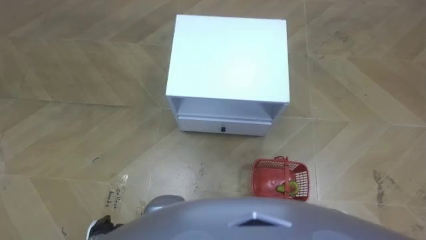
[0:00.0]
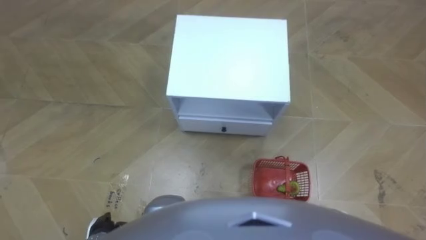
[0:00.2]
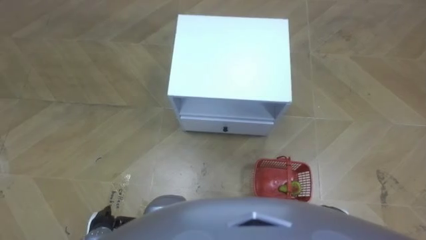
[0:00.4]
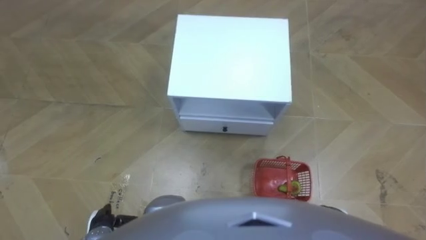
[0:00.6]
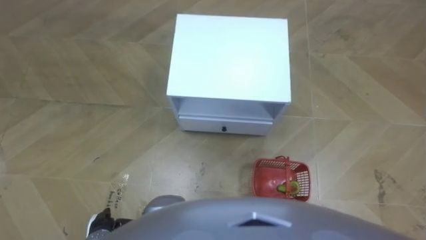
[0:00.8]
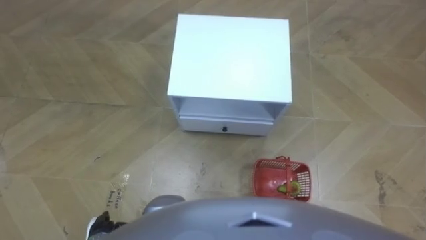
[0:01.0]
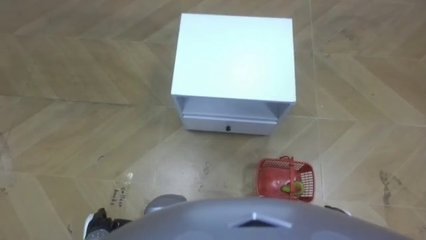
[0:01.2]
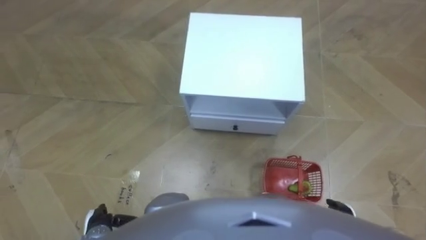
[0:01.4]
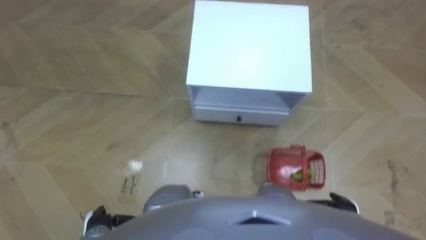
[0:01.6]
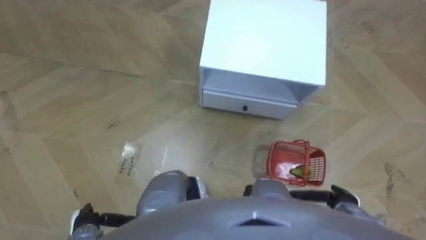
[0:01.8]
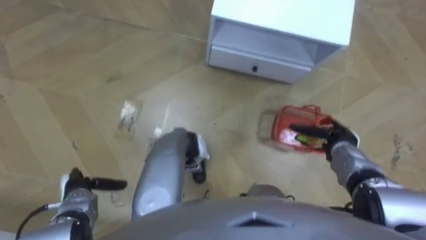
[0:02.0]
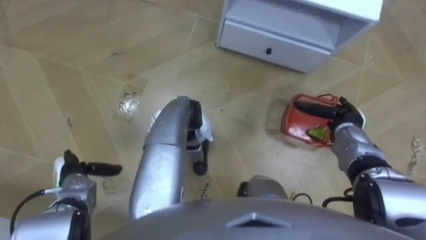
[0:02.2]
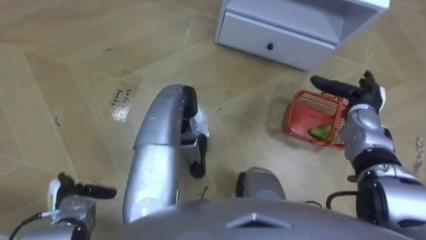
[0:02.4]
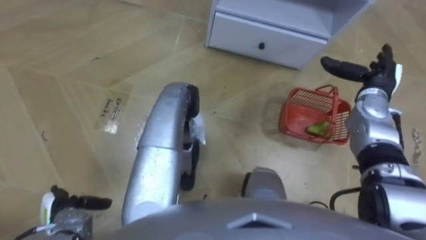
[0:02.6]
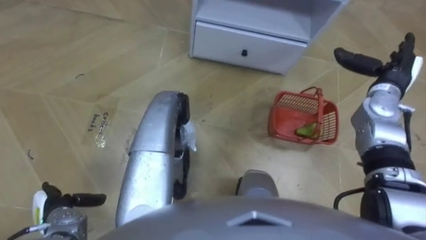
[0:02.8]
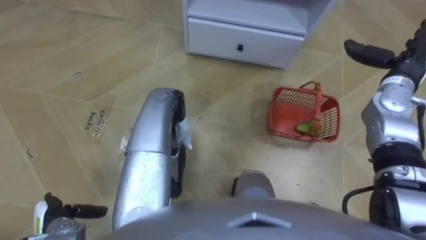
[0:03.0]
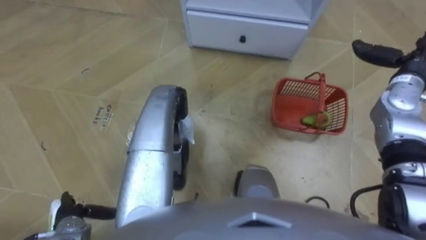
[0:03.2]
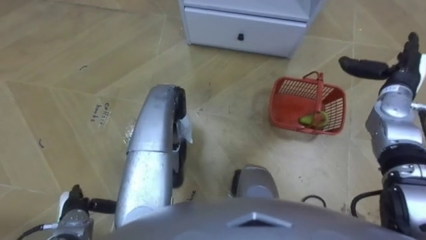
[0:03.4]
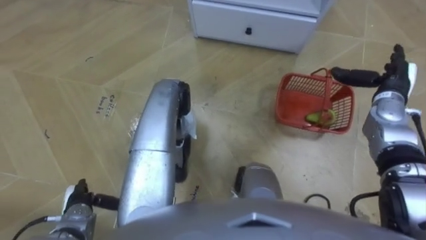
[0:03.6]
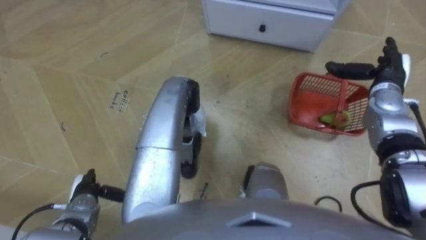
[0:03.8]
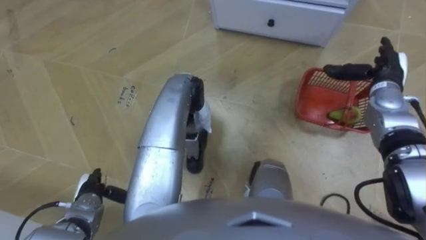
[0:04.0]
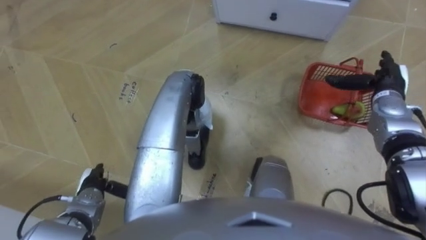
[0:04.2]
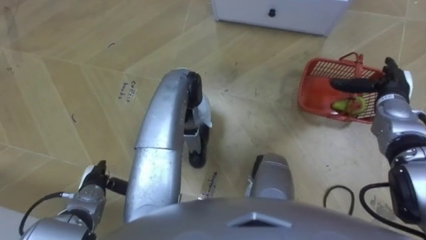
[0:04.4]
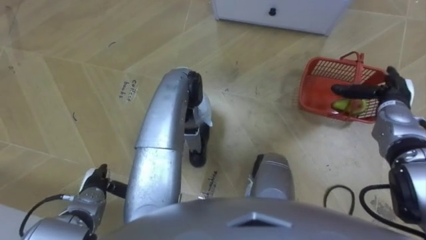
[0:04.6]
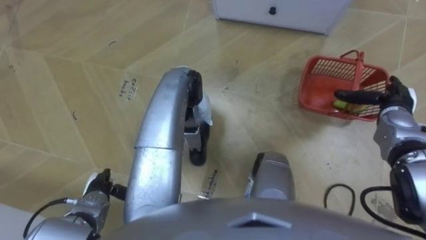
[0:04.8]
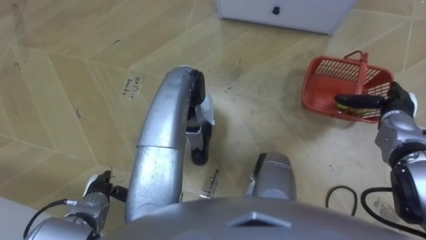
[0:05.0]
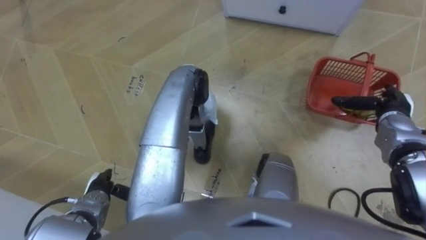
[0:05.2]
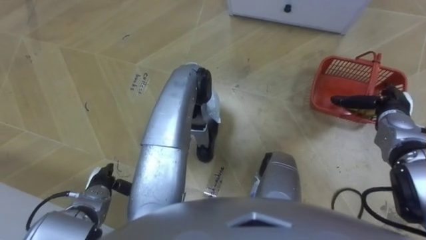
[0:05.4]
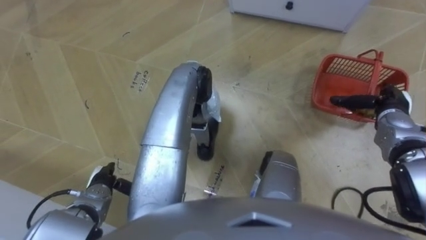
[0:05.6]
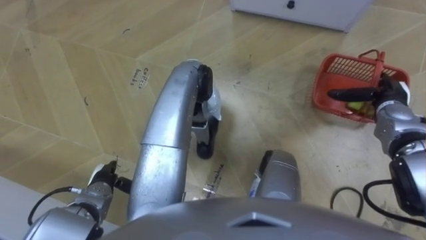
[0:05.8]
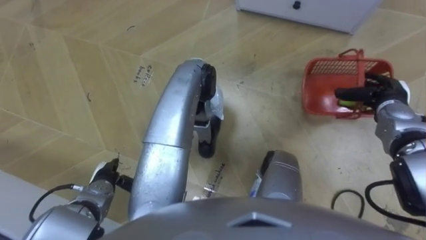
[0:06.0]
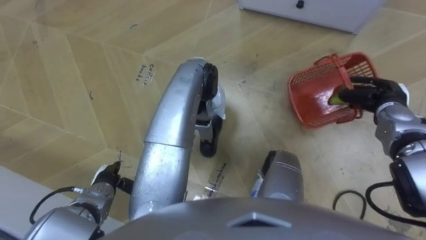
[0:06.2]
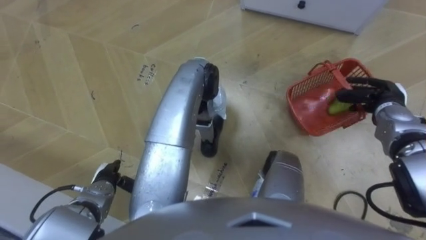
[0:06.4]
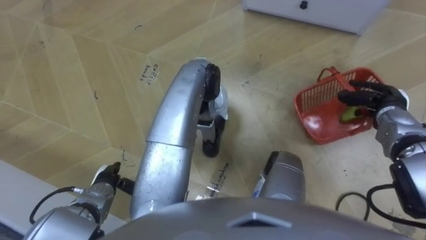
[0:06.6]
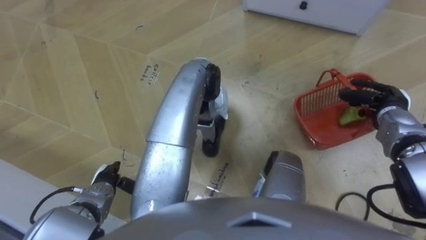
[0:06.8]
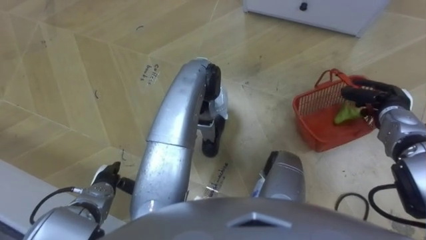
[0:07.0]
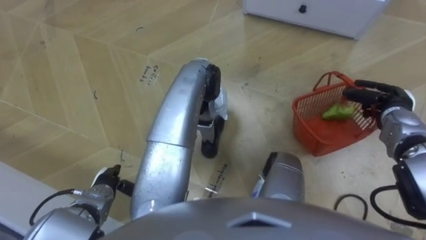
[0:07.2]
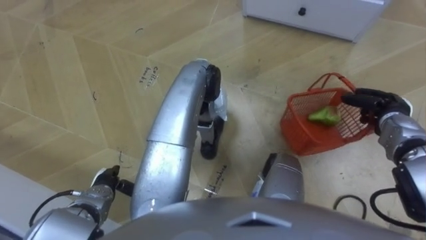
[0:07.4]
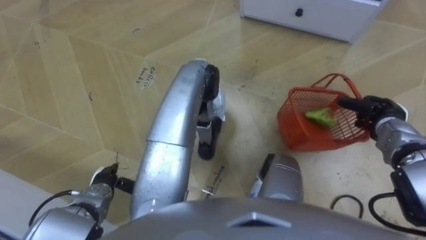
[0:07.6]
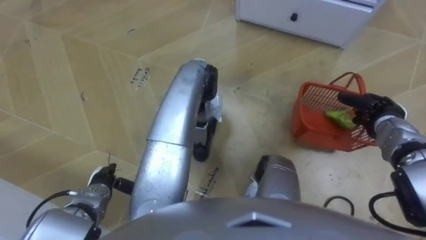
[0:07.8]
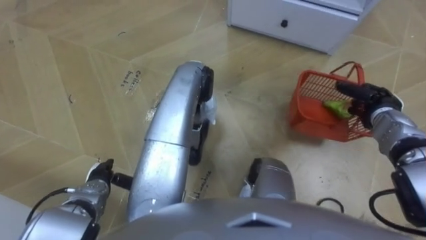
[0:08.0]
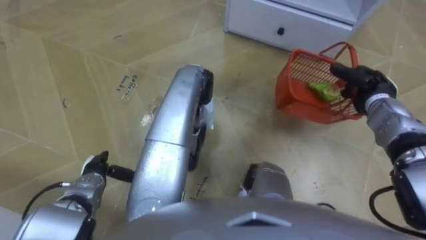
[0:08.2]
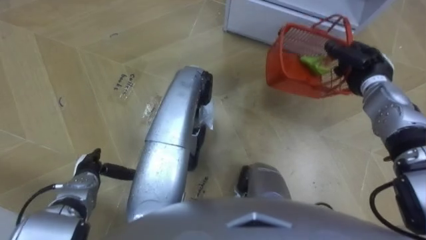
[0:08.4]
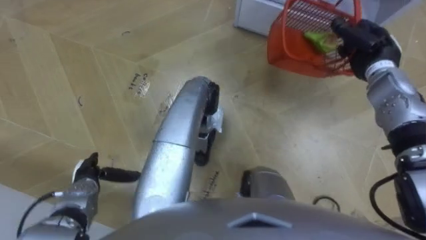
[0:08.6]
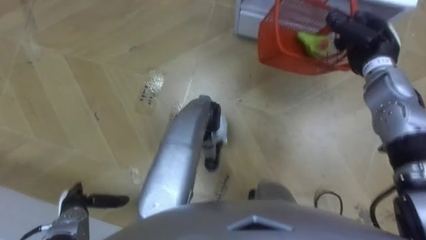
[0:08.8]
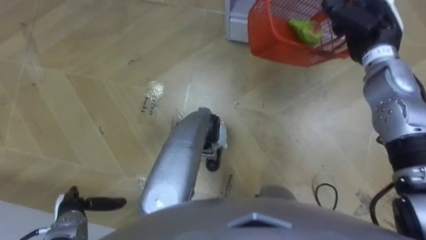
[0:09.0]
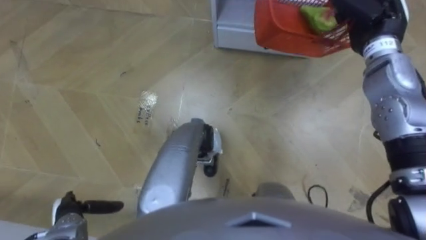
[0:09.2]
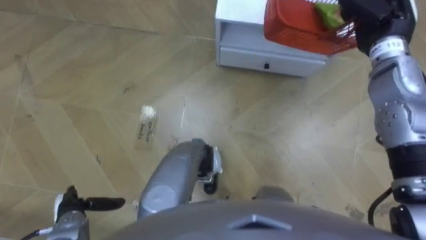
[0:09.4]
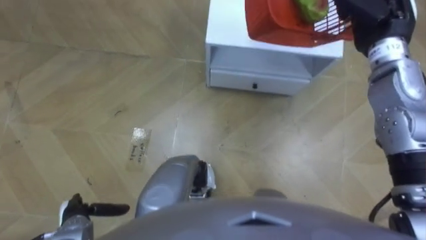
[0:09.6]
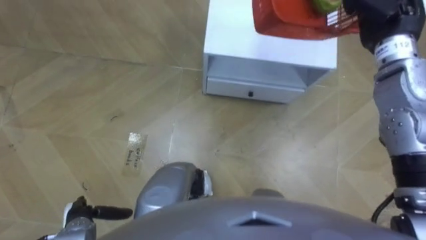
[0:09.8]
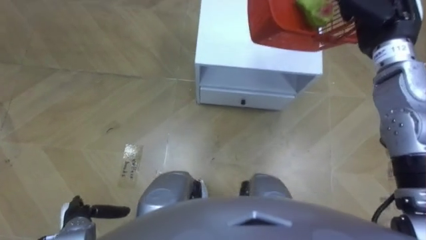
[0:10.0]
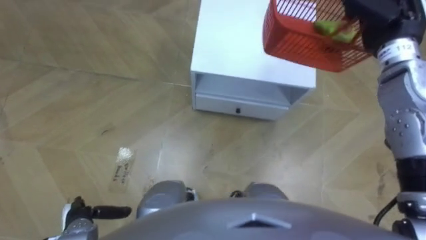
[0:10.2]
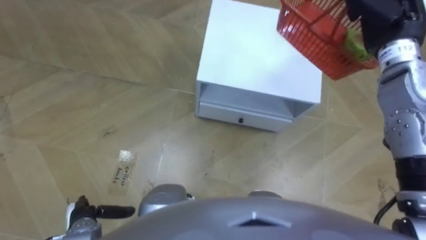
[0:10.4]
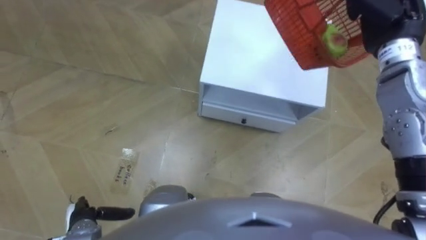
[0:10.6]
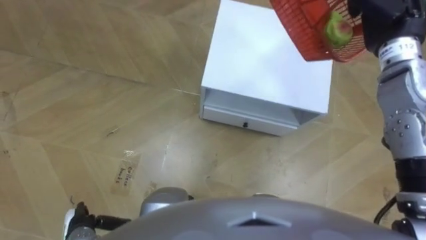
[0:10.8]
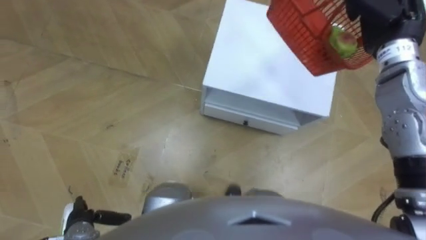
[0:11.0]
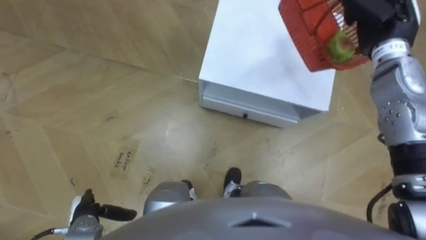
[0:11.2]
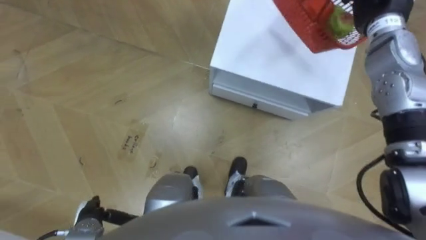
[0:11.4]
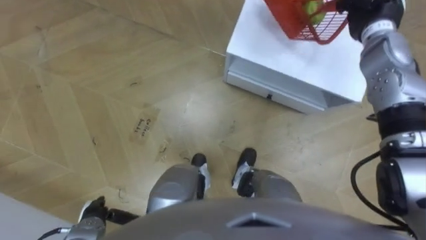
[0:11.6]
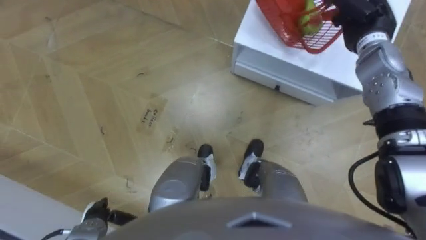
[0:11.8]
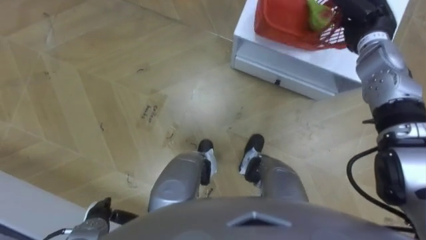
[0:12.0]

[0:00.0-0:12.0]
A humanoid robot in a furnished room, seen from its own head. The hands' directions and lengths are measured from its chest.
Task of the whole recording: Pick up the fruit basket from the floor and place it on the cabinet.
0:01.6 to 0:03.0: The right hand travels forward and upward by approximately 35 cm. Meanwhile the left hand moves to the left, roughly 10 cm, and travels forward and back again, some 10 cm each way.
0:03.0 to 0:04.4: The left hand heads to the right and forward, covering about 10 cm, while the right hand moves downward, roughly 5 cm.
0:06.0 to 0:07.6: The right hand closes.
0:07.6 to 0:09.0: The right hand moves upward, forward and to the left, approximately 20 cm; the left hand is displaced to the left and backward by approximately 10 cm.
0:09.0 to 0:10.4: The right hand is displaced upward by roughly 5 cm.

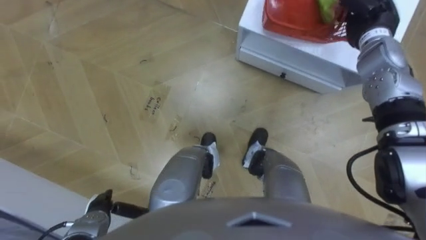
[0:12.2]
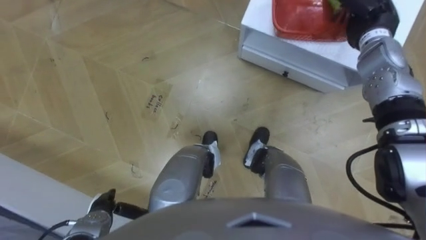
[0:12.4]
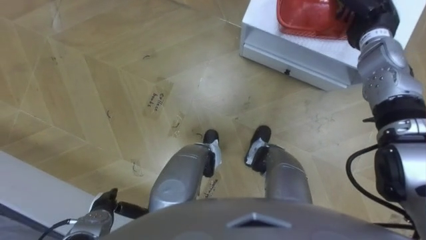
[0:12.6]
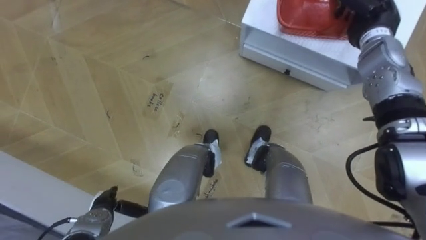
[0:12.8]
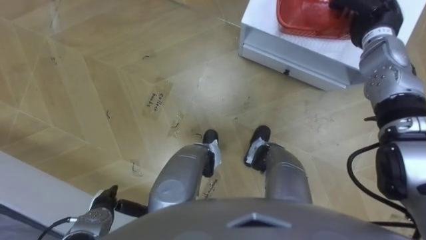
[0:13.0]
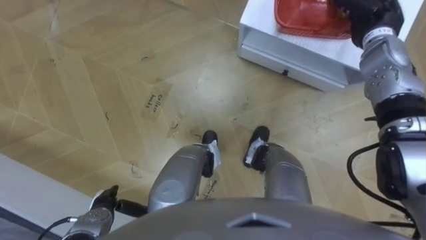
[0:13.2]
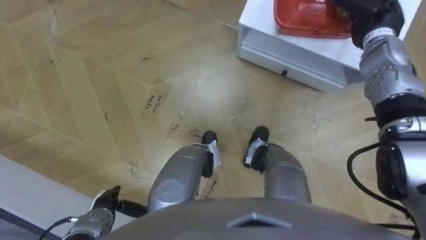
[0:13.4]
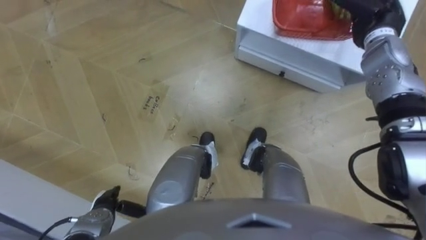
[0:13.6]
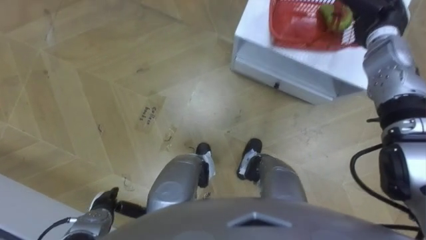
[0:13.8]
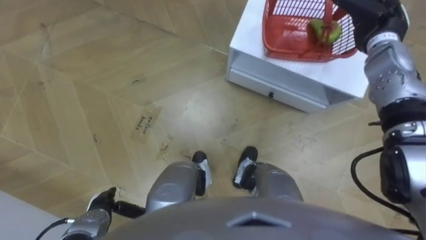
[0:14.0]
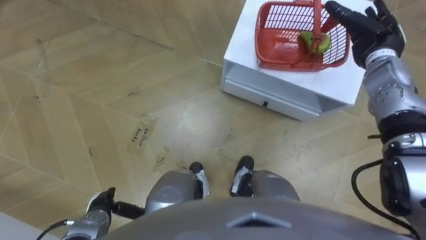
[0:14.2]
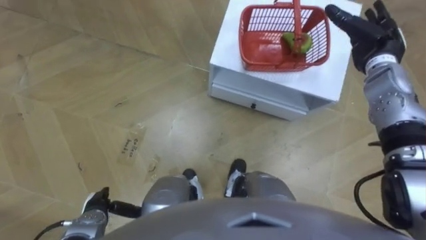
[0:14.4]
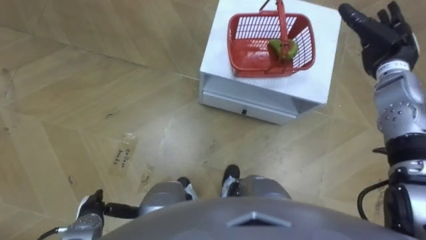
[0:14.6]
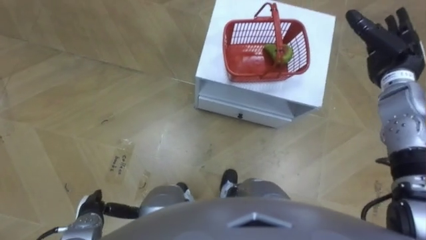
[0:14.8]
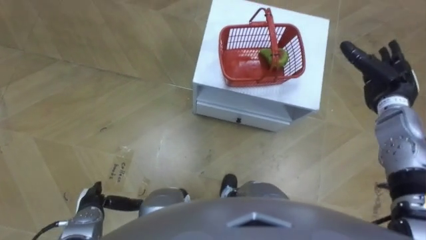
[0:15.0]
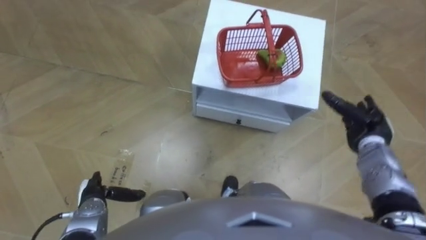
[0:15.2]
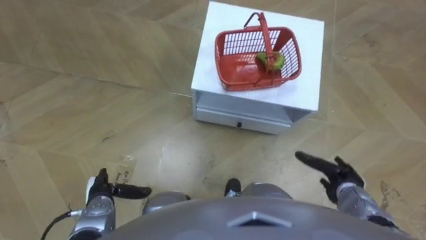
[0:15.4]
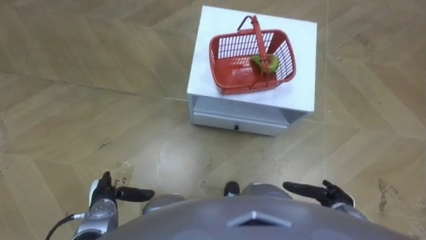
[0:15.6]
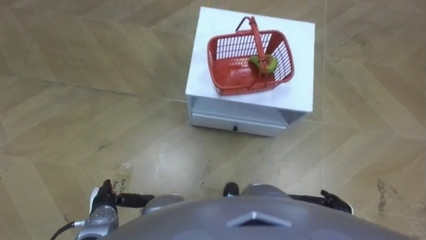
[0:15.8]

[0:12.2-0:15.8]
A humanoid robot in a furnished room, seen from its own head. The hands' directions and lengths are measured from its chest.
Task of the whole recording: Pick up the fruit basket from the floor and place it on the cabinet.
0:12.2 to 0:14.0: The right hand opens up.
0:14.0 to 0:15.8: The right hand travels backward and downward by some 40 cm.

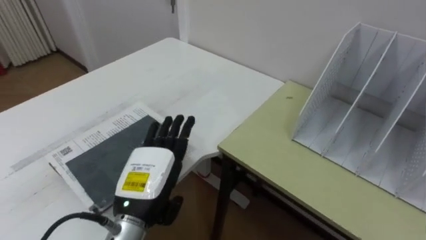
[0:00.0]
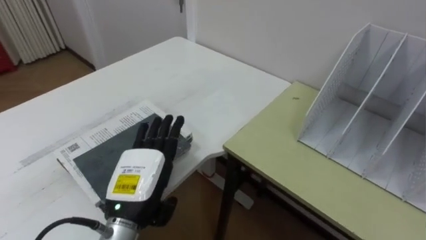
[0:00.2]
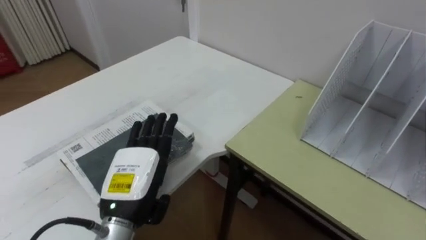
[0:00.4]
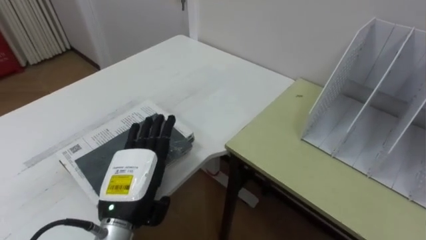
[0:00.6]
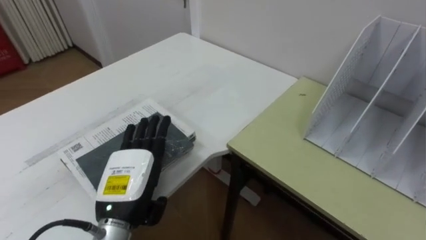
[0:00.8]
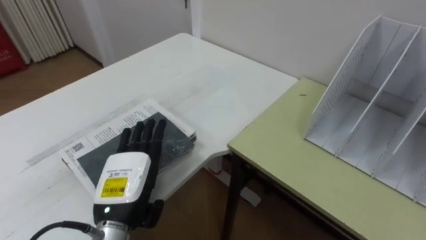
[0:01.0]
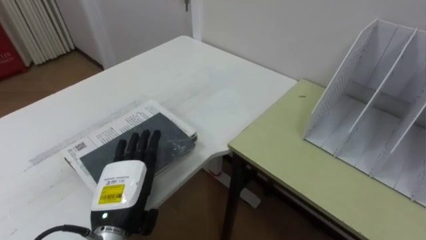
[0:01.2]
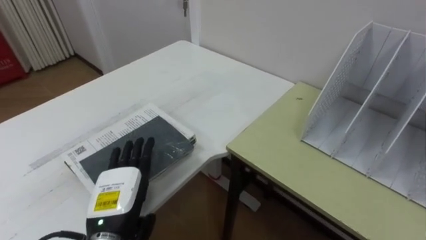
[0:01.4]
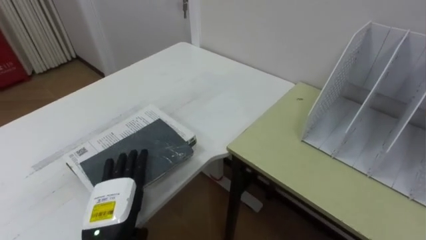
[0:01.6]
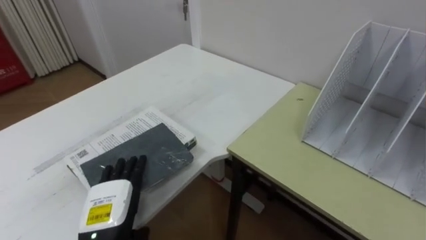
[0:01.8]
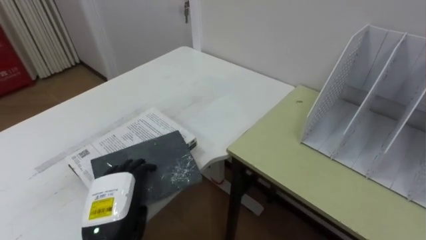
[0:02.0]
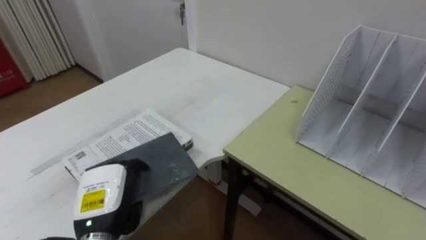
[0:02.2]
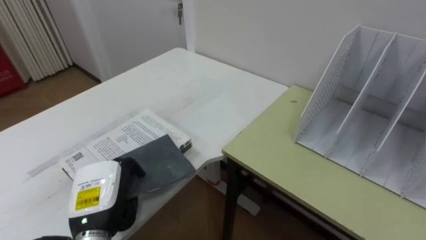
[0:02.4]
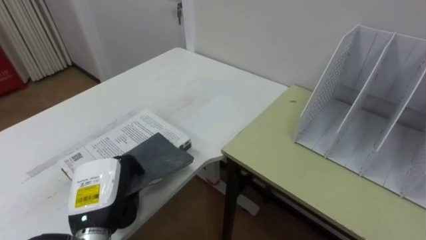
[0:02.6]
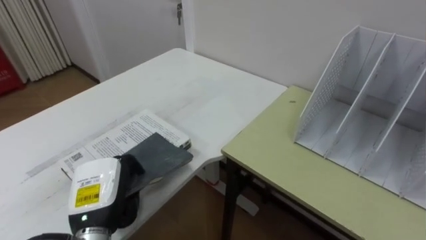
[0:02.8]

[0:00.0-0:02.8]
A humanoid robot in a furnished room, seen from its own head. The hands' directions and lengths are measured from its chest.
Task of the whole recording: Put the books on the table onto the bookshelf.
0:00.0 to 0:01.4: The left hand moves to the left, about 5 cm.
0:01.4 to 0:02.8: The left hand closes.
